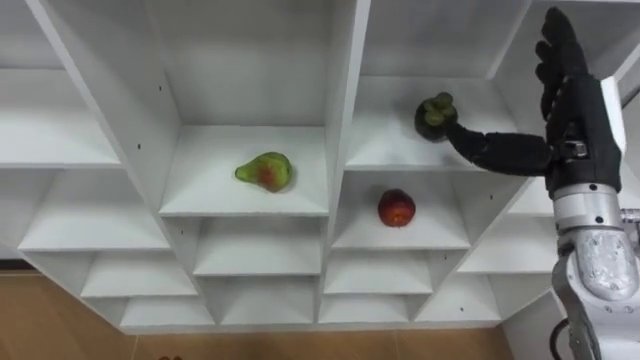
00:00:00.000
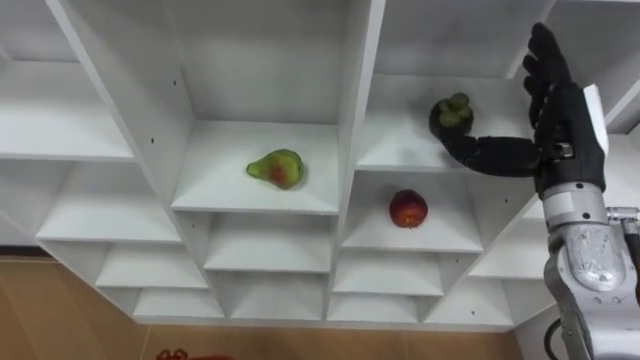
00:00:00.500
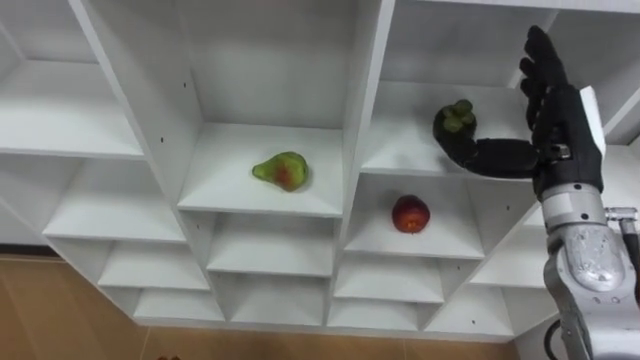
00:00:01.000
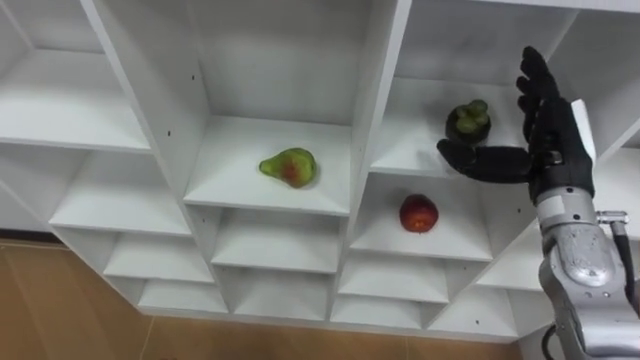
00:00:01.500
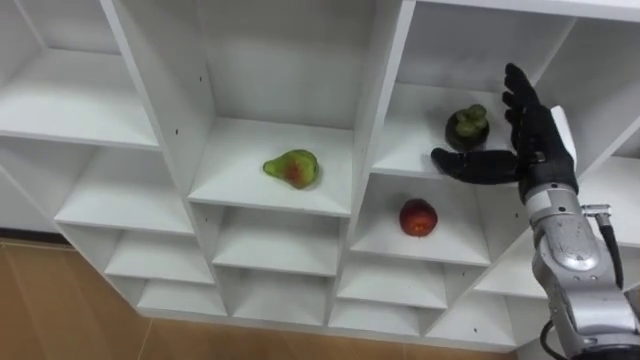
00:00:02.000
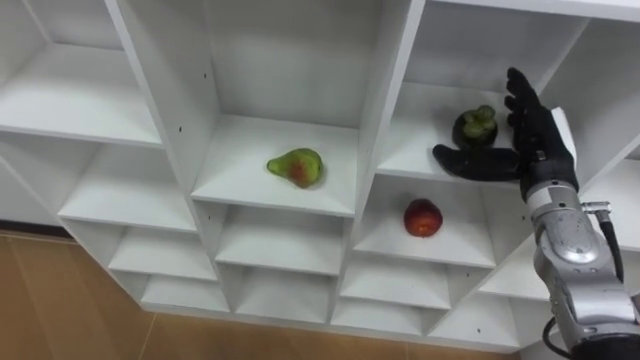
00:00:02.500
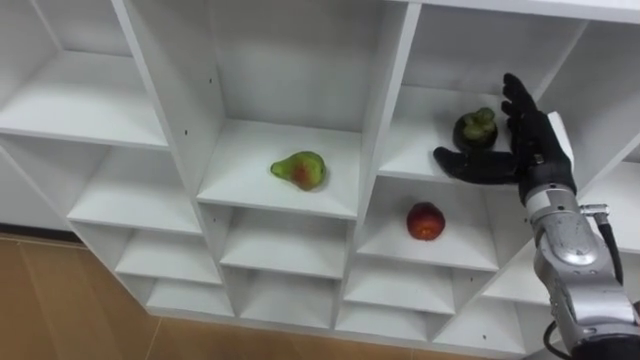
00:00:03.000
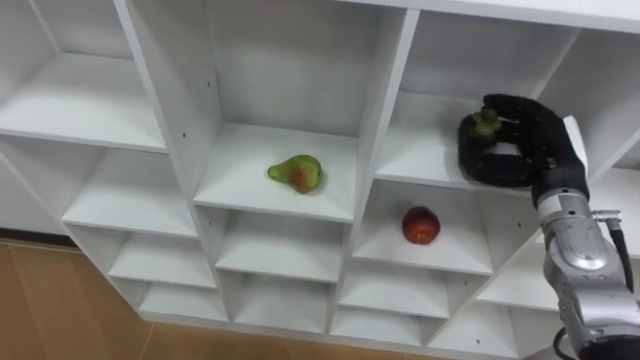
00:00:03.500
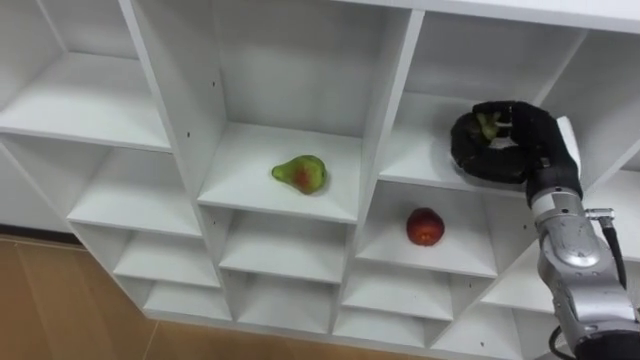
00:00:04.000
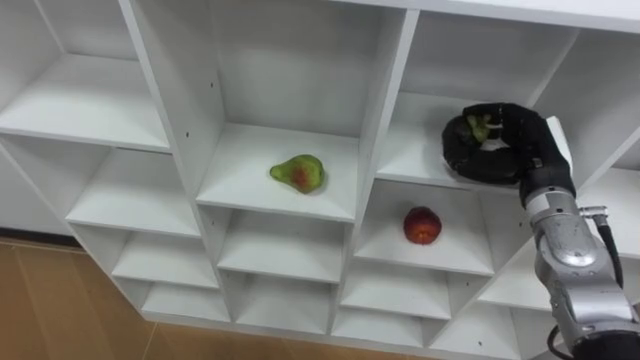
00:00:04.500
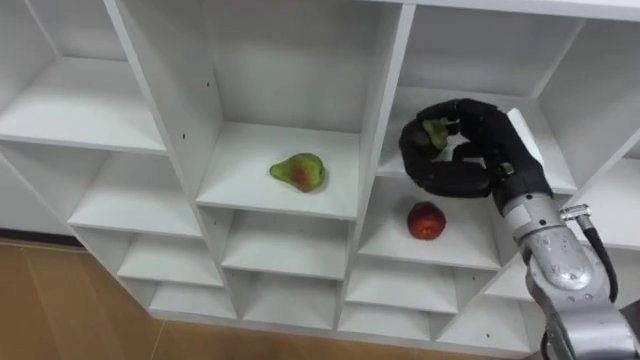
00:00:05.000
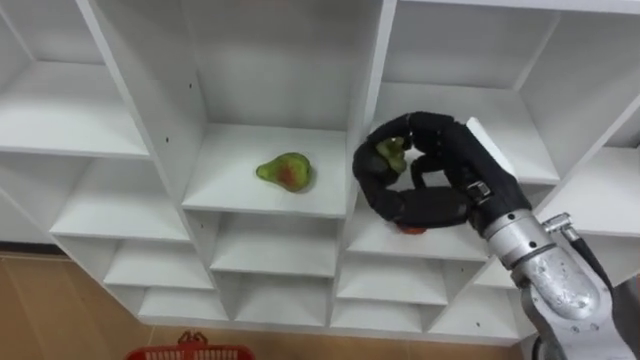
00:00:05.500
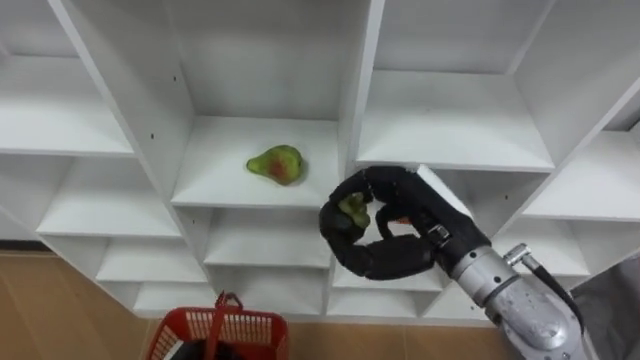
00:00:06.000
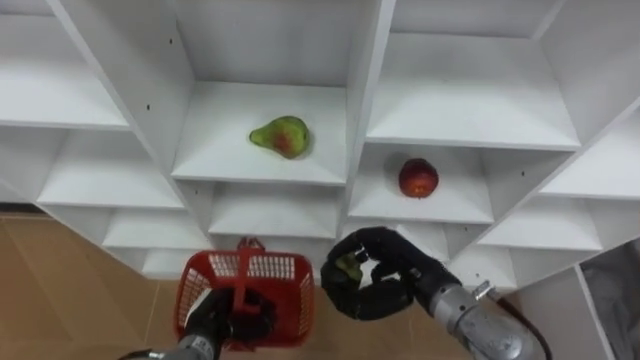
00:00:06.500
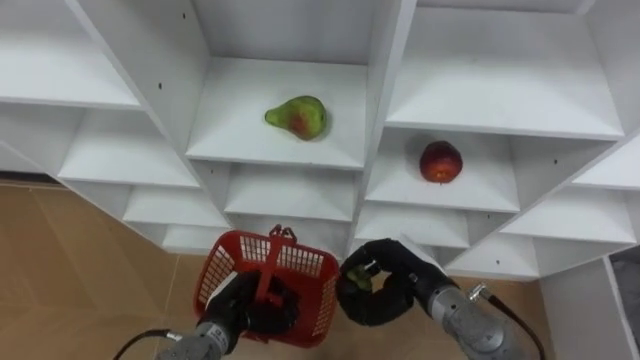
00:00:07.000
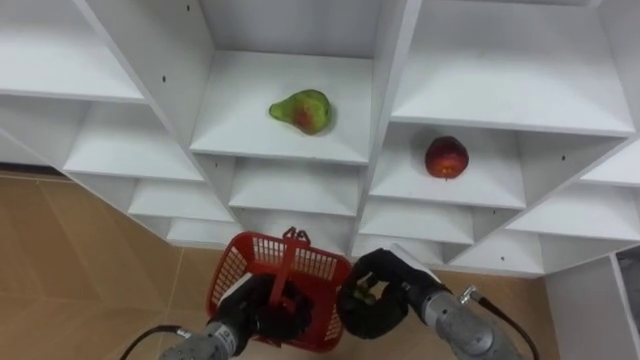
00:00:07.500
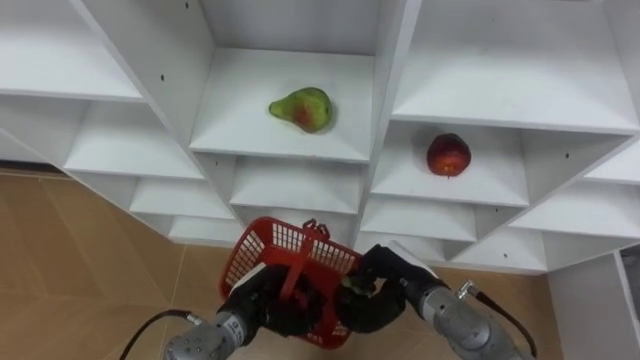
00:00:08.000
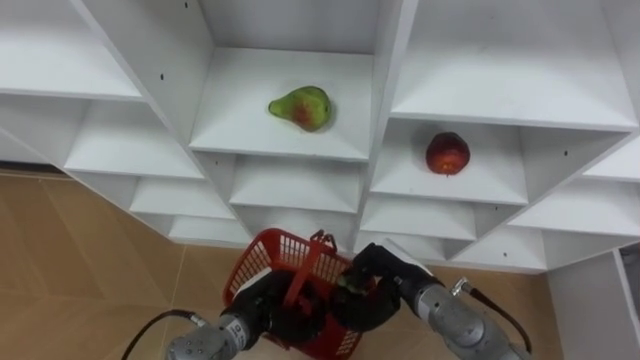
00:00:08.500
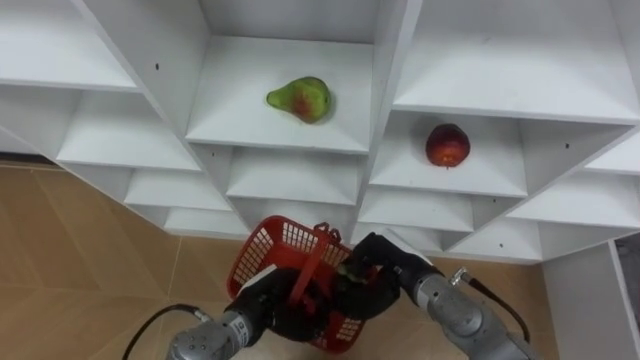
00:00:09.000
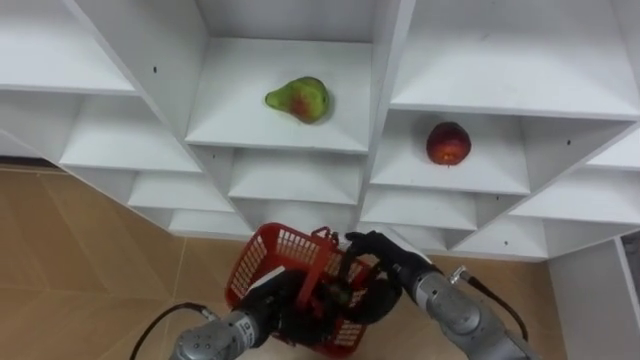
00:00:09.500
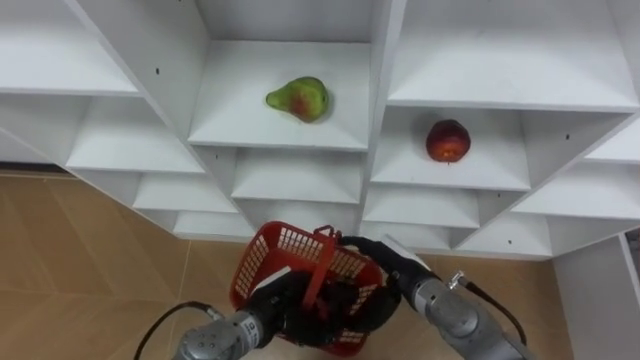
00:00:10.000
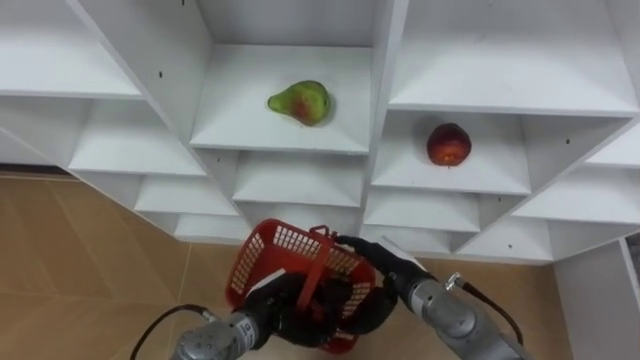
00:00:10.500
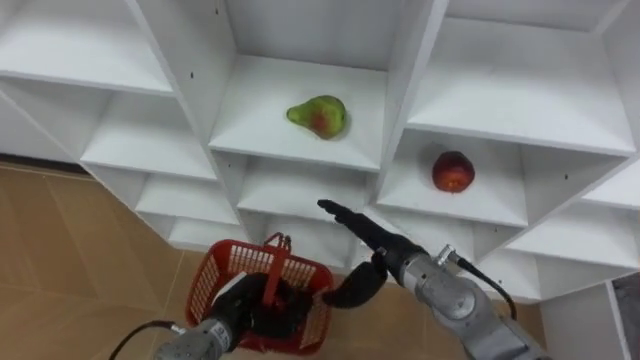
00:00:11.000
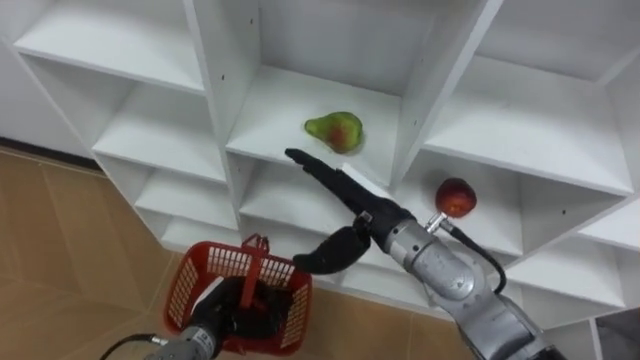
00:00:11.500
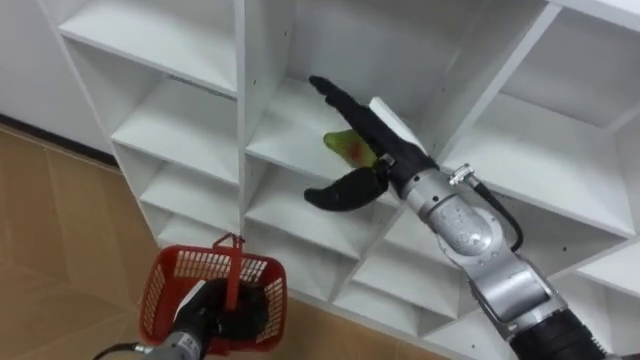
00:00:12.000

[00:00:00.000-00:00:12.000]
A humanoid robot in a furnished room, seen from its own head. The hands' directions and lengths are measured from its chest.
Task of the whole recording: Hold the basket and collect the fruits from 3 different cells of the closet into it.
00:00:00.000 to 00:00:02.000: The right hand travels downward by about 5 cm.
00:00:02.000 to 00:00:04.000: The right hand closes.
00:00:04.000 to 00:00:06.000: The right hand moves to the left and backward, some 15 cm.
00:00:06.000 to 00:00:08.000: The right hand travels downward by roughly 15 cm.
00:00:08.000 to 00:00:10.000: The right hand opens its fingers.
00:00:10.000 to 00:00:12.000: The left hand travels to the left by approximately 10 cm. The right hand travels upward by approximately 20 cm.

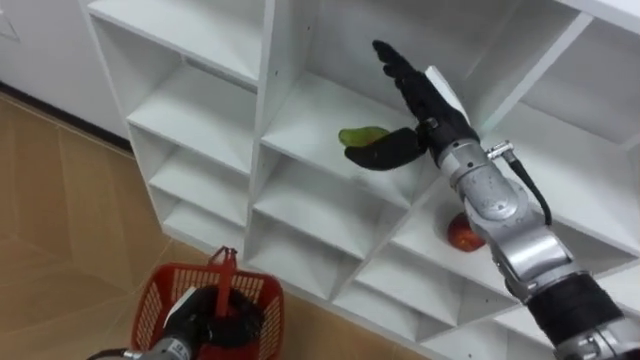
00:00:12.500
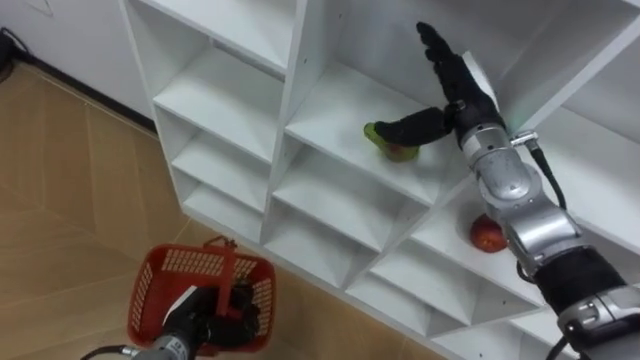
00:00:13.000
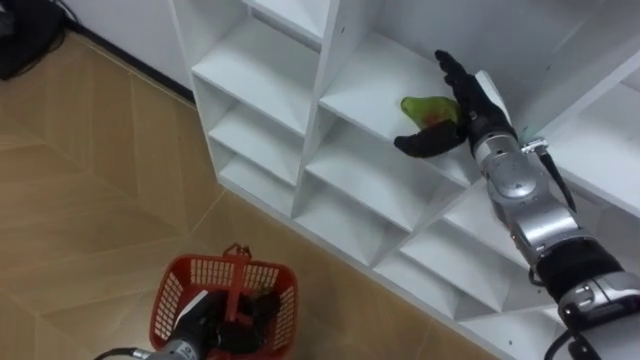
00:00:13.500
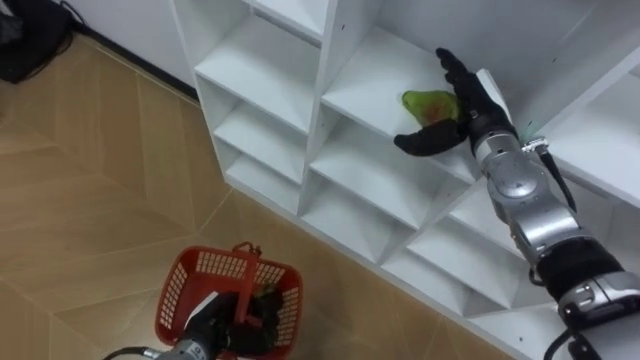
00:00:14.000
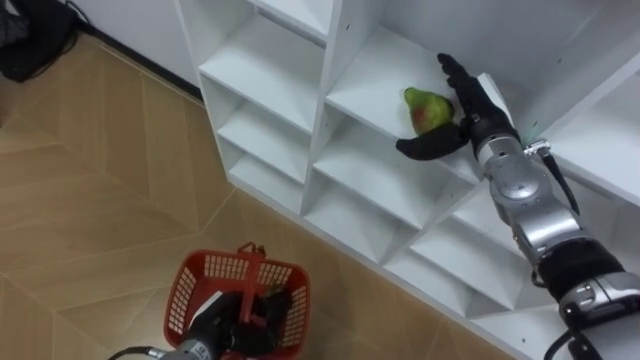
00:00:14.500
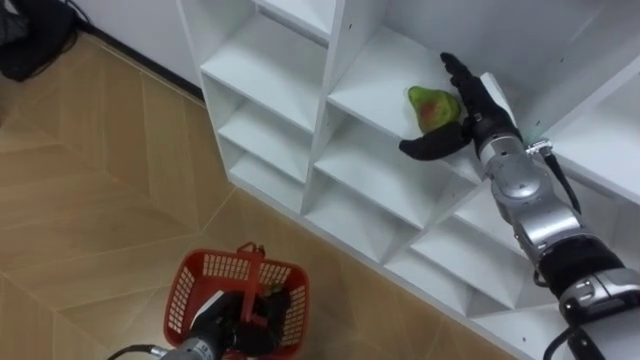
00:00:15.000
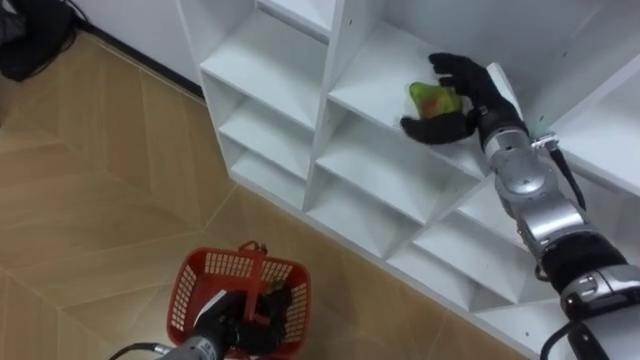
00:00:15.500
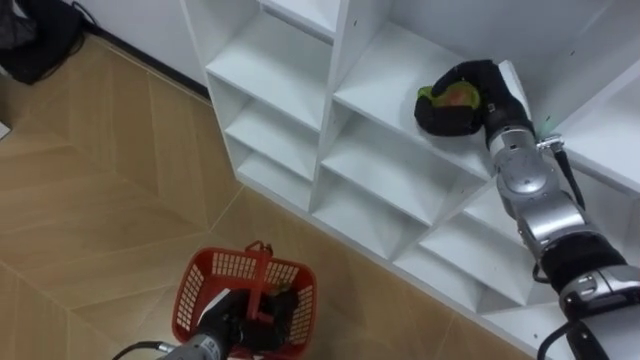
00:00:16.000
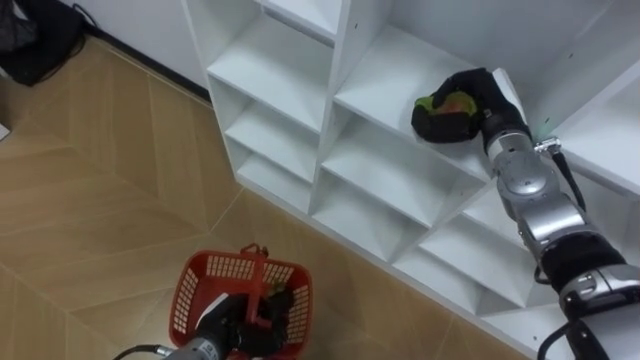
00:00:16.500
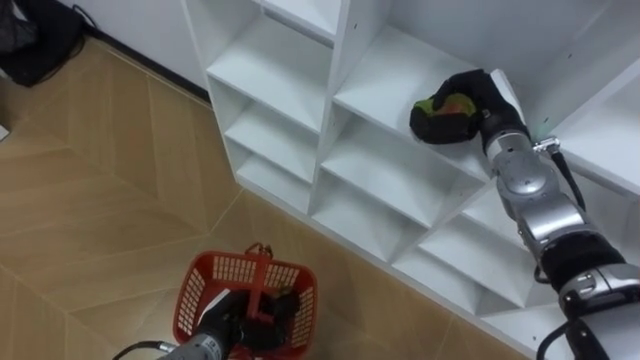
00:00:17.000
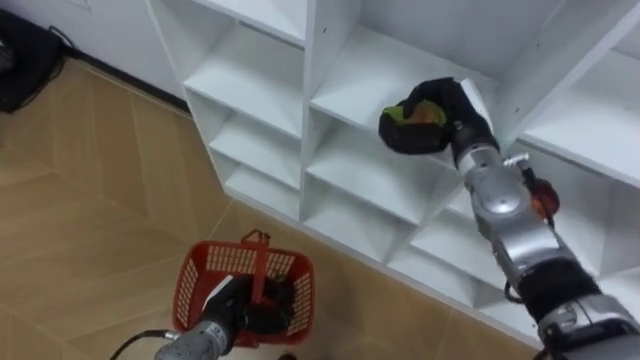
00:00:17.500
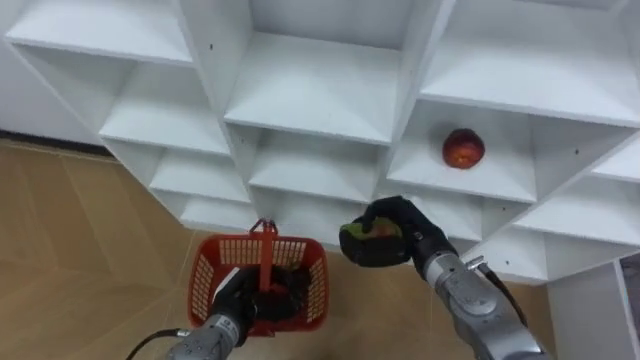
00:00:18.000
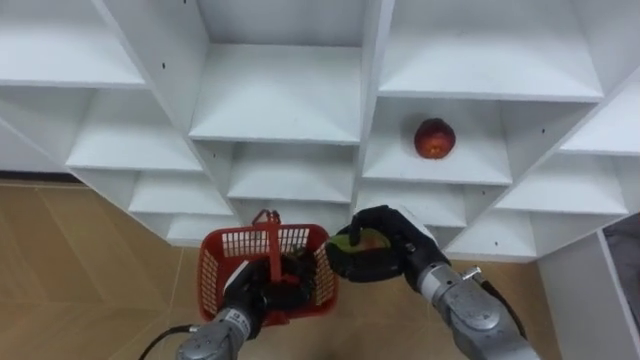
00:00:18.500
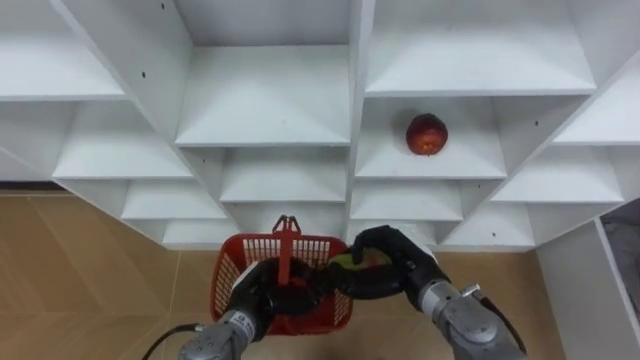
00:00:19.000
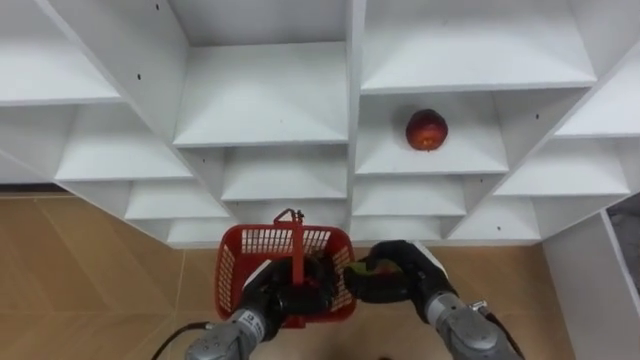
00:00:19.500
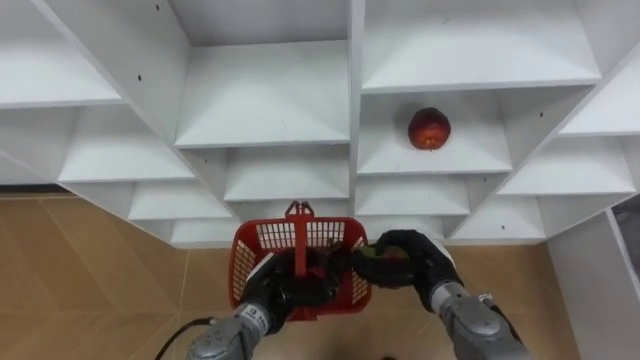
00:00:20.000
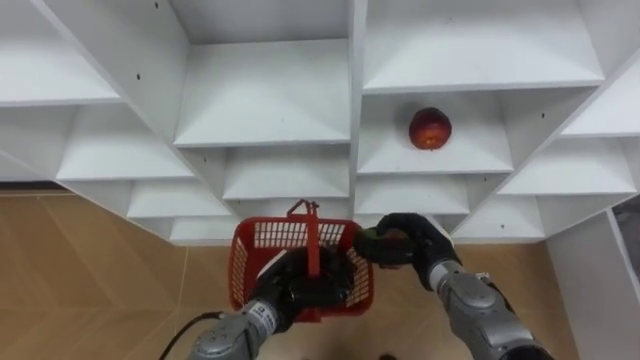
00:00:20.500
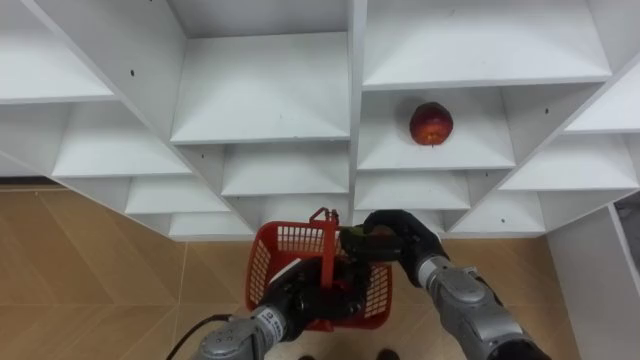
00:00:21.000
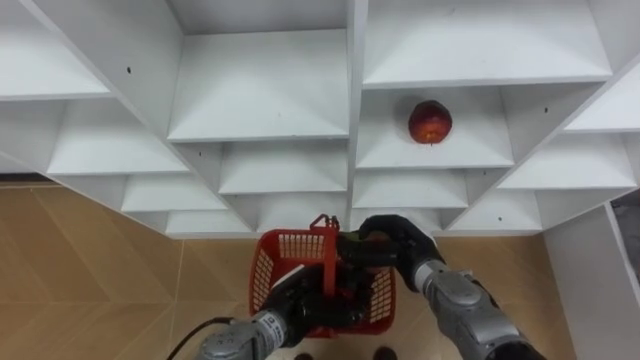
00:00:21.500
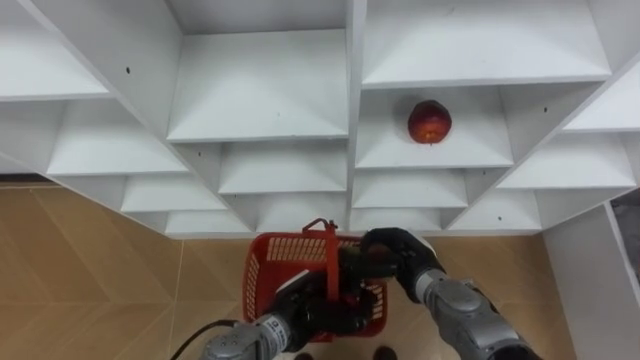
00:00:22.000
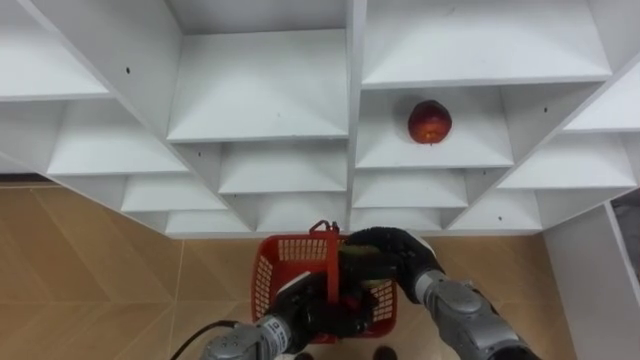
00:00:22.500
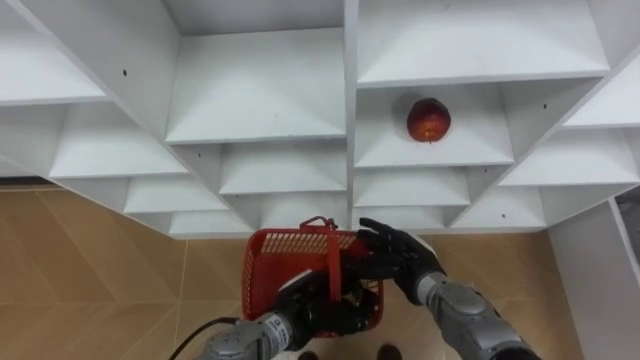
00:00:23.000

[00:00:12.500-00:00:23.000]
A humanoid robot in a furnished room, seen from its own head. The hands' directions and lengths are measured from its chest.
Task of the whole recording: Hold the basket and collect the fruits from 3 different cells of the closet into it.
00:00:12.500 to 00:00:14.500: The right hand heads to the right, covering roughly 5 cm.
00:00:14.500 to 00:00:16.500: The right hand closes up.
00:00:16.500 to 00:00:19.000: The left hand goes roughly 5 cm to the right. The right hand goes about 20 cm backward, downward and to the left.
00:00:19.000 to 00:00:21.000: The left hand moves to the right, some 5 cm.
00:00:21.000 to 00:00:23.000: The right hand opens its fingers.
